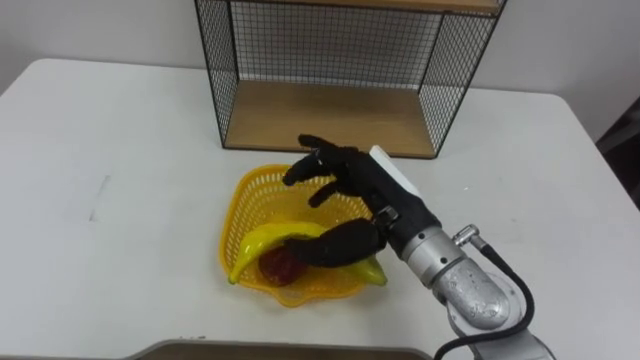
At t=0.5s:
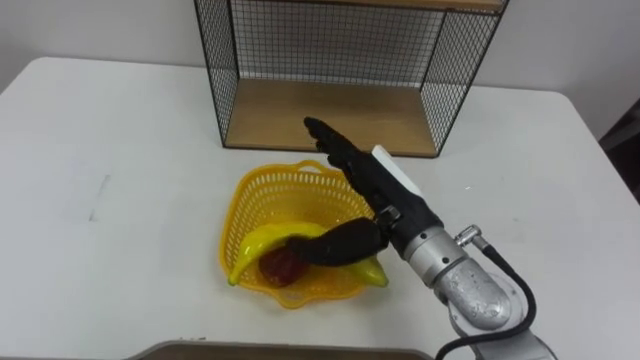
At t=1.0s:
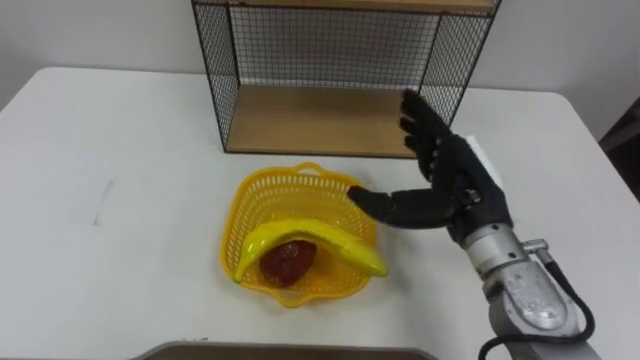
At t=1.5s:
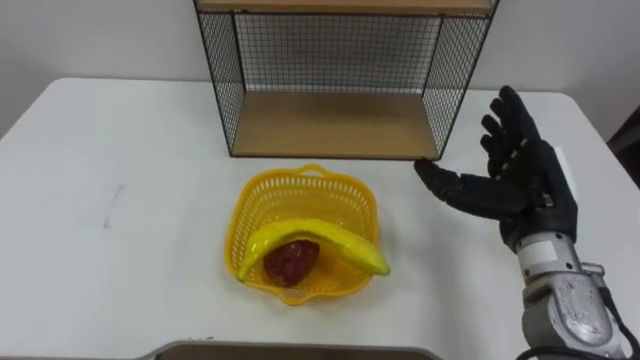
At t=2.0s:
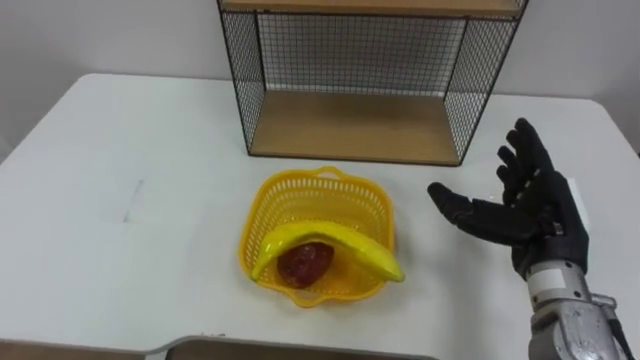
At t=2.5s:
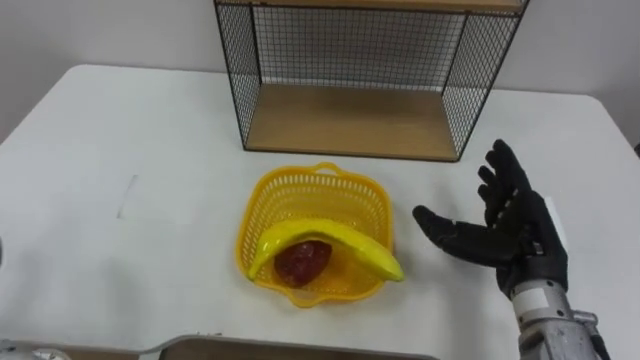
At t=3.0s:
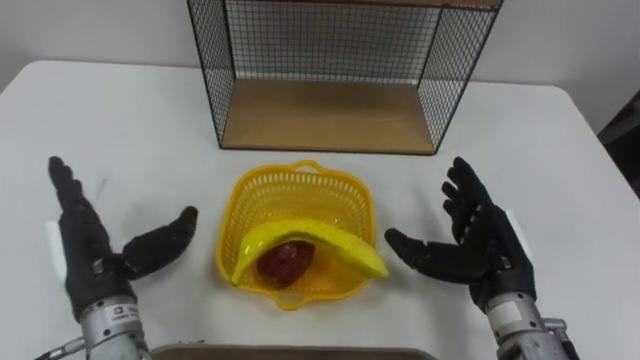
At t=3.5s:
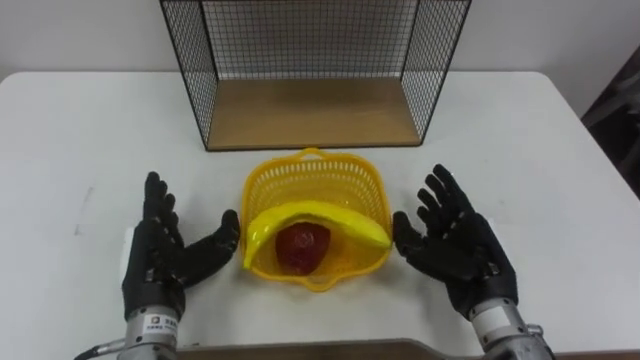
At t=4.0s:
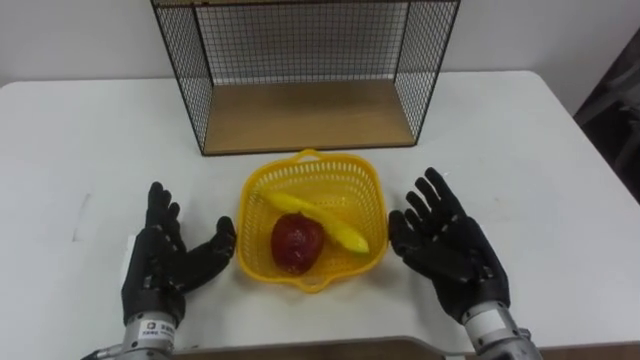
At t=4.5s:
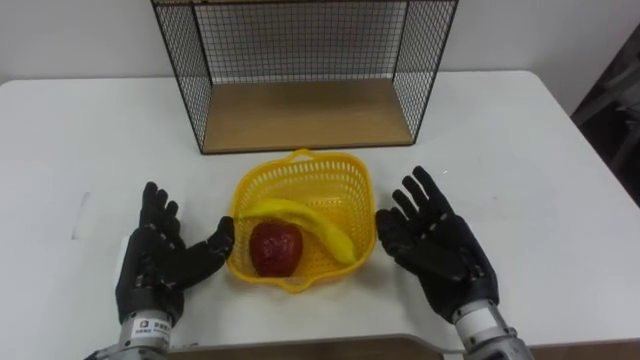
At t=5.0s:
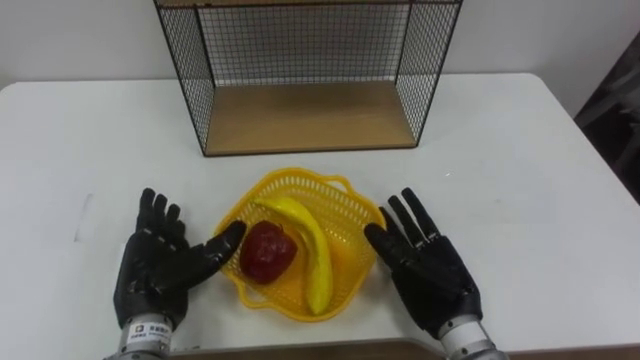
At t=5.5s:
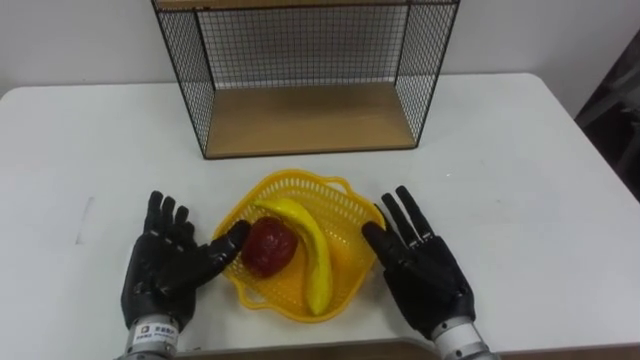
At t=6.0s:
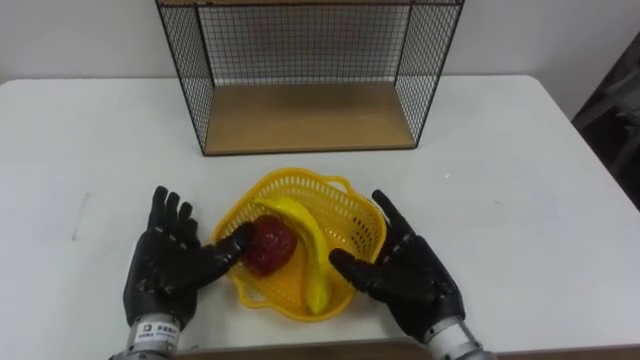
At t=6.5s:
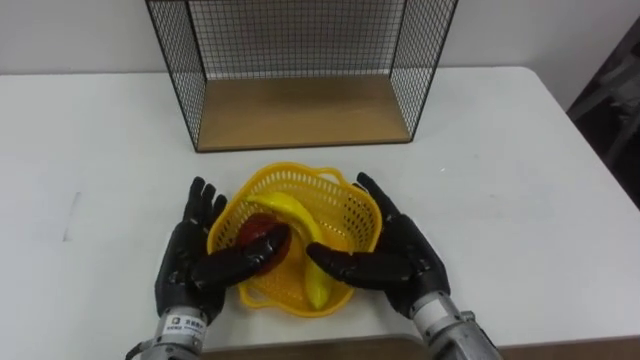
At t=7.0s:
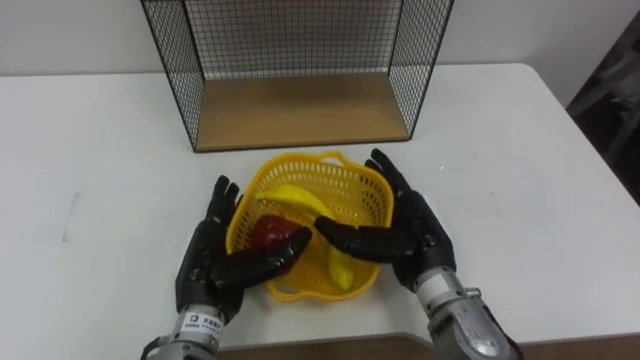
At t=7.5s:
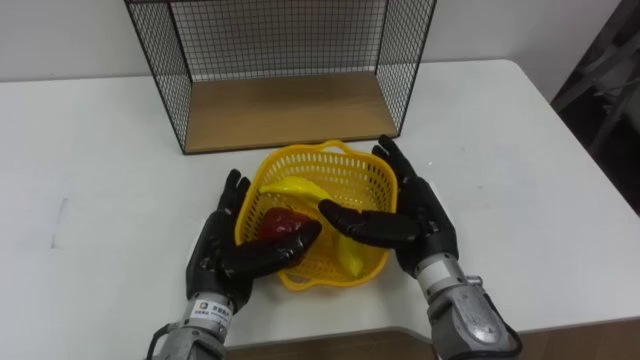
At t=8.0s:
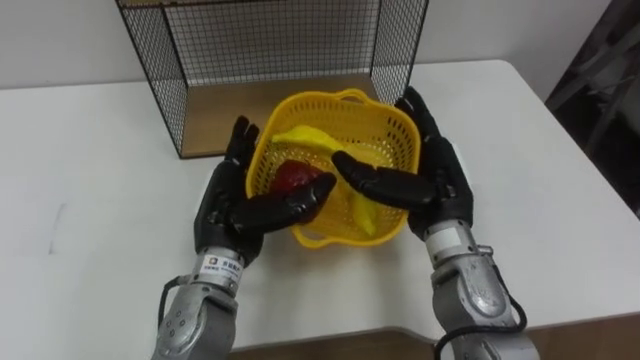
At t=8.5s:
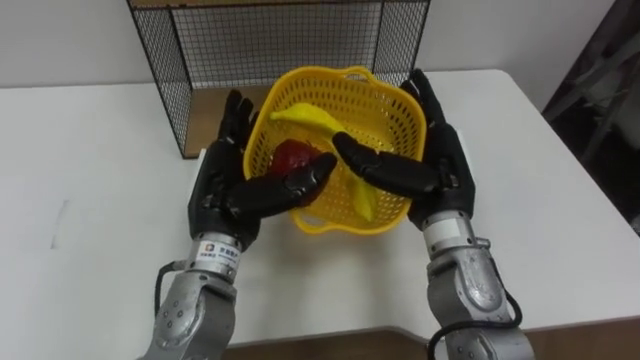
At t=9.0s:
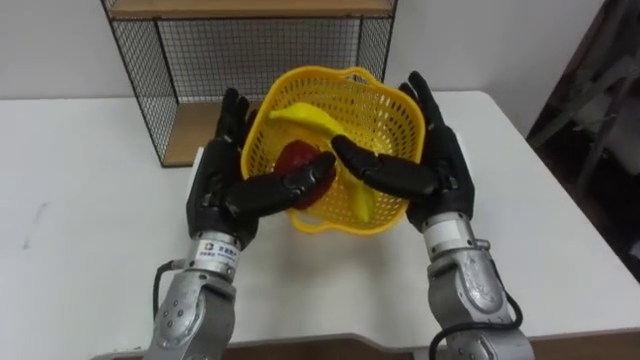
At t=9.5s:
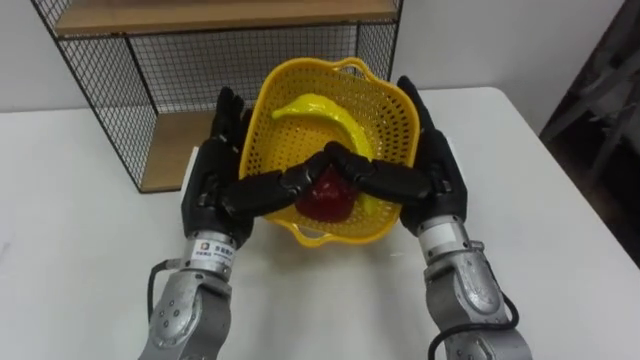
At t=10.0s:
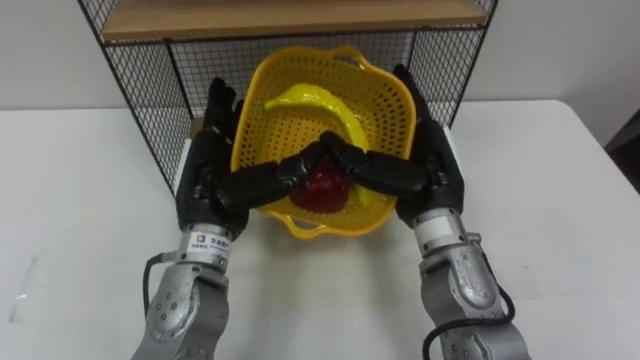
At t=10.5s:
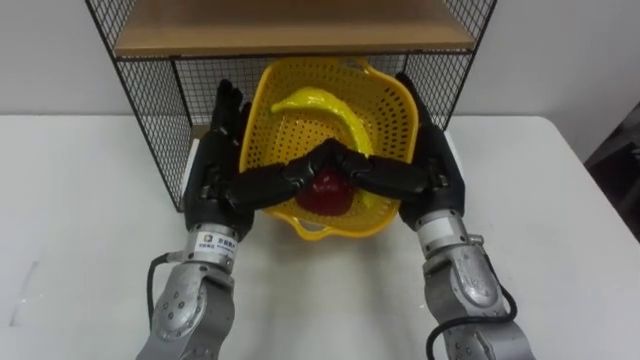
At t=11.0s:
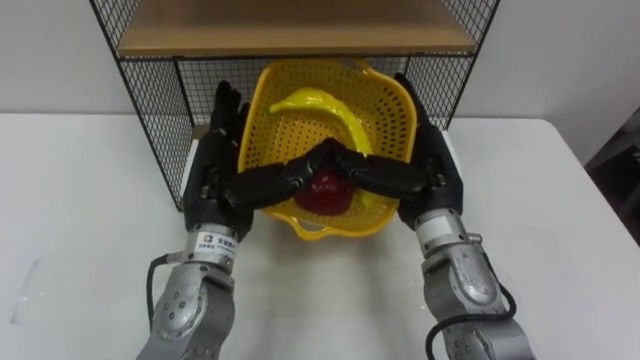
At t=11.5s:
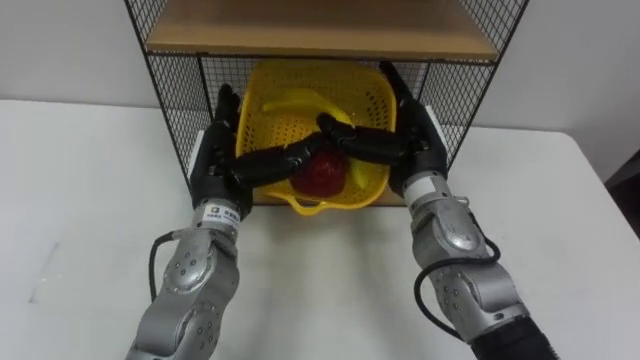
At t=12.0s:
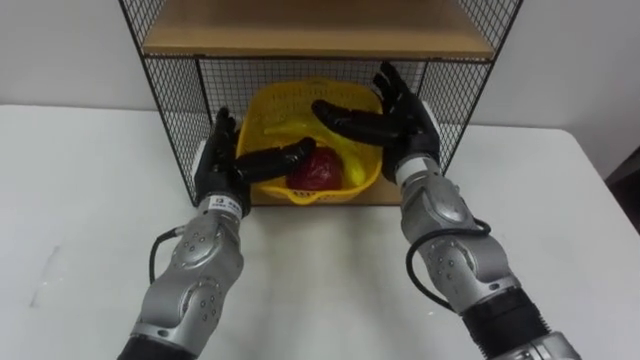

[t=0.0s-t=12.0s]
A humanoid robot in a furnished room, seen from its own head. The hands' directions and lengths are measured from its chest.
Task of the whole recording: Put the fruit on the table into the basket, then place the basket on the shelf.
t=0.0s to t=2.0s: The right hand goes roughly 15 cm to the right.
t=2.0s to t=4.0s: The right hand moves to the left and downward, about 10 cm.
t=4.0s to t=6.0s: The right hand goes some 5 cm to the left.
t=6.0s to t=8.0s: The right hand is displaced upward and forward by approximately 10 cm. The left hand heads to the right, upward and forward, covering approximately 10 cm.
t=10.0s to t=12.0s: The right hand travels forward by some 5 cm. The left hand travels downward by roughly 5 cm.

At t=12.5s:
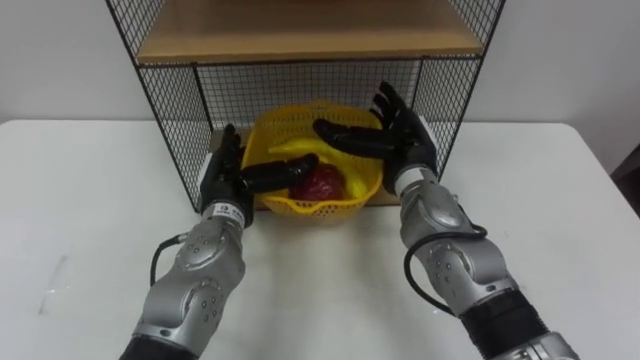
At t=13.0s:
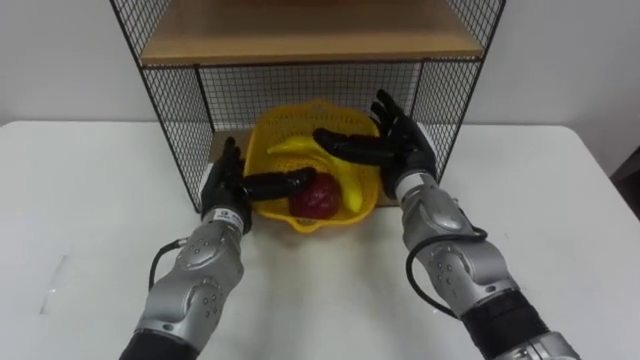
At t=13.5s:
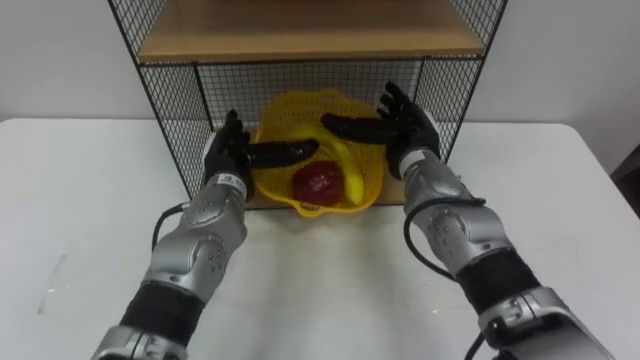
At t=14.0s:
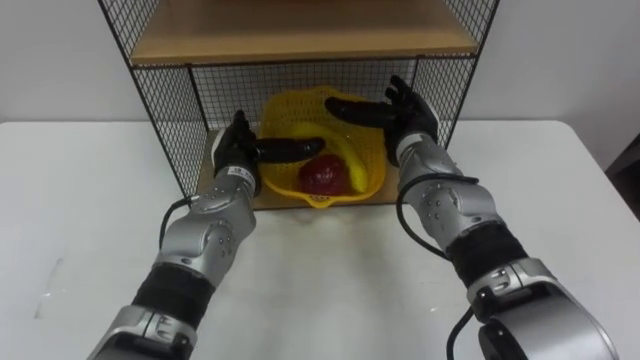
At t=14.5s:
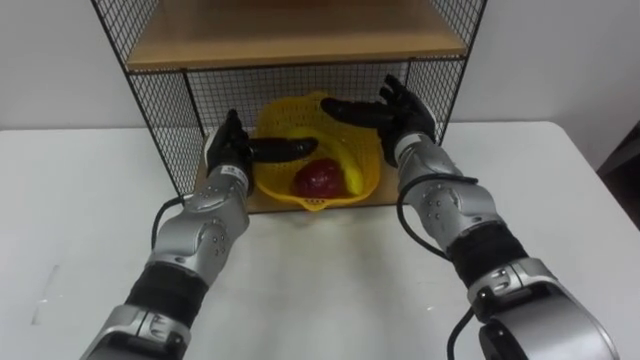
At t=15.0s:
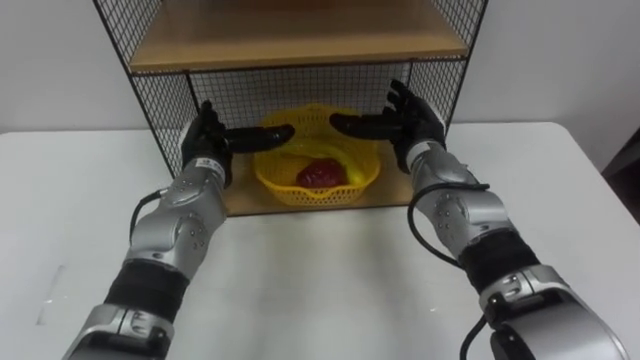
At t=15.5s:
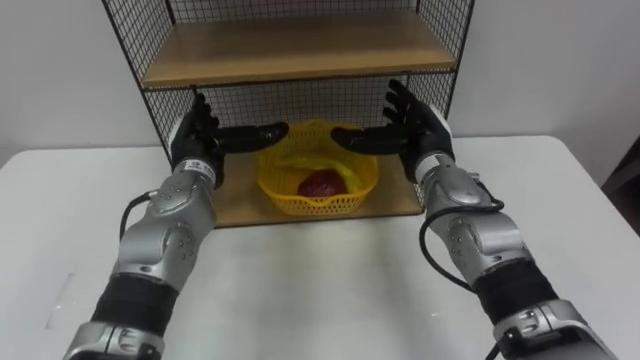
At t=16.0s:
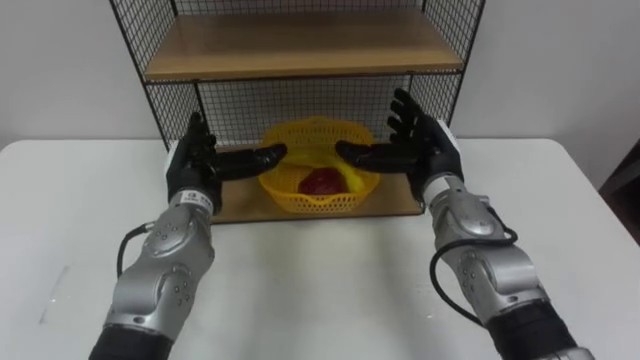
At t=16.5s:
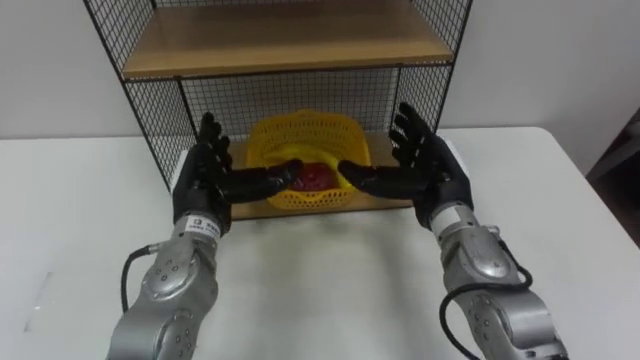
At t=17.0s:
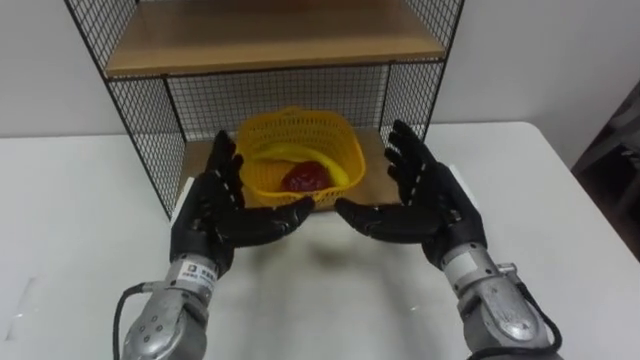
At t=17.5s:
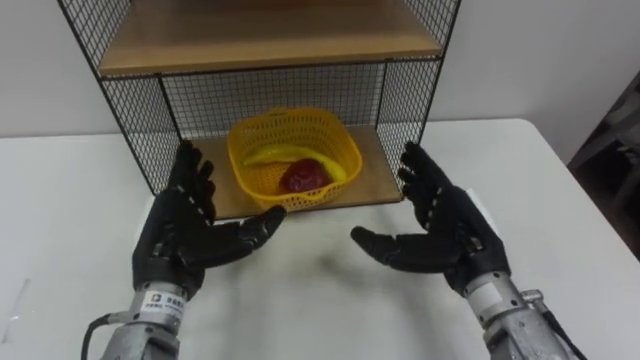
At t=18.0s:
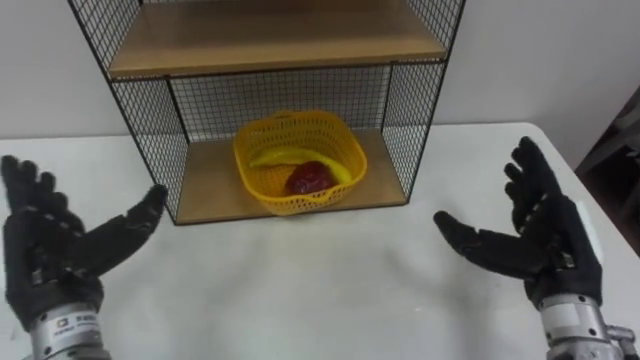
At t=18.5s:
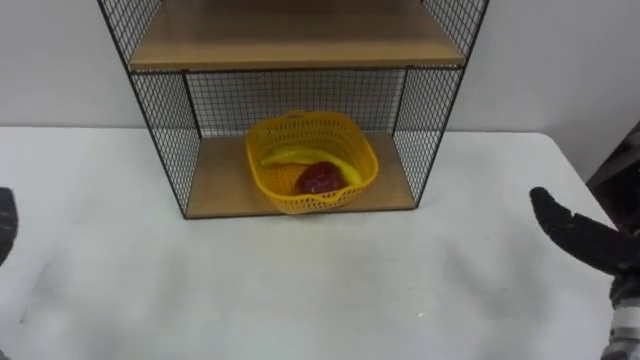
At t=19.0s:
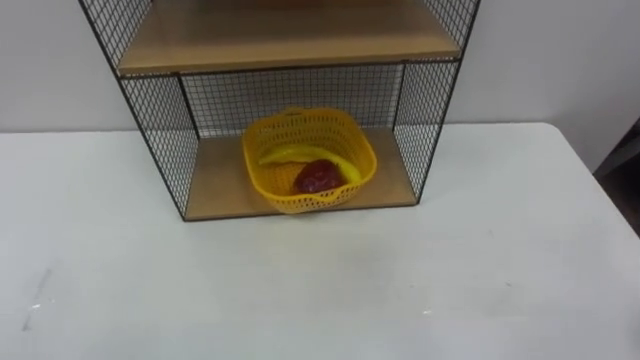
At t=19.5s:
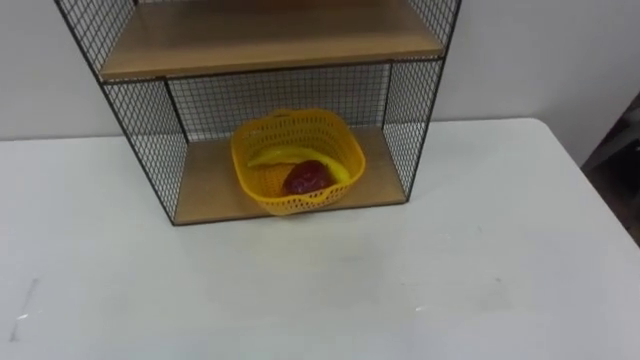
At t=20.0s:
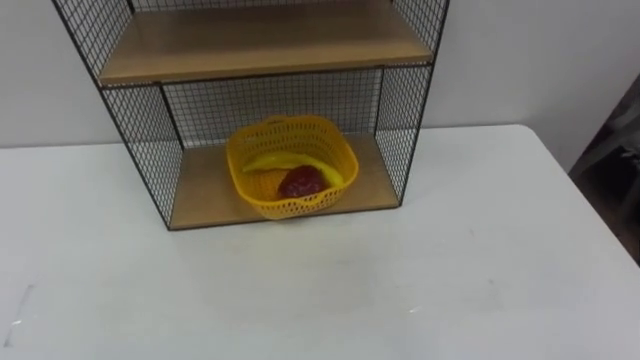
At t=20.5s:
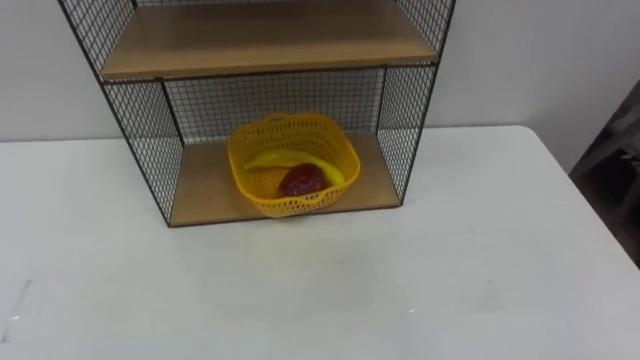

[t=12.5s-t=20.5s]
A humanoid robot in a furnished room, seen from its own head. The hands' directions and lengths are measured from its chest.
Task of the whole recording: Put the fruit on the table into the basket, then place the basket on the shelf.
t=14.5s to t=16.5s: Both hands travel together backward, some 5 cm.
